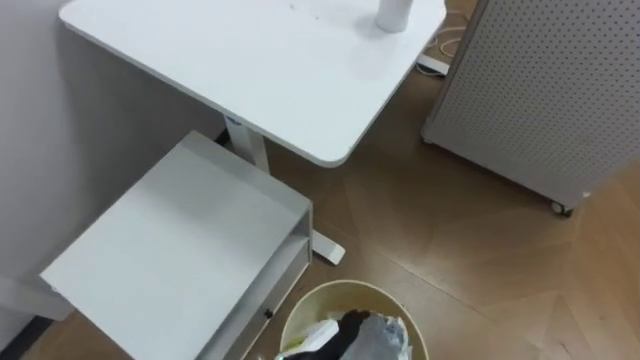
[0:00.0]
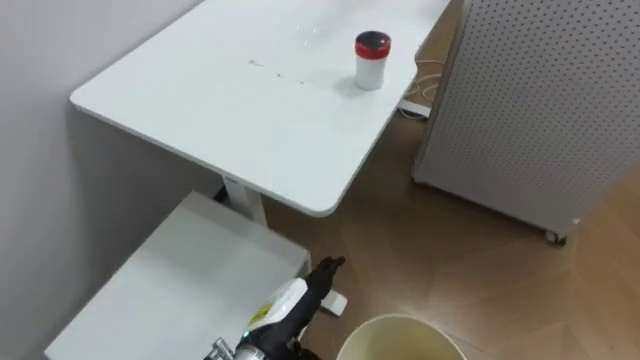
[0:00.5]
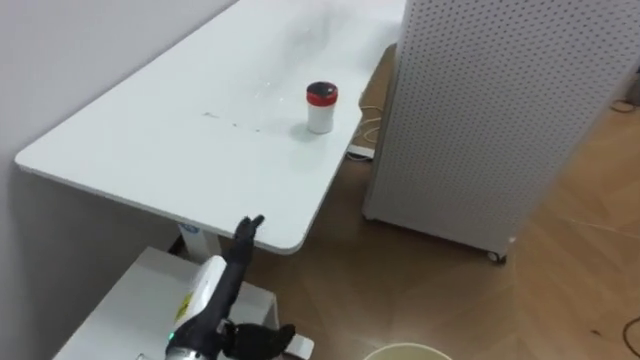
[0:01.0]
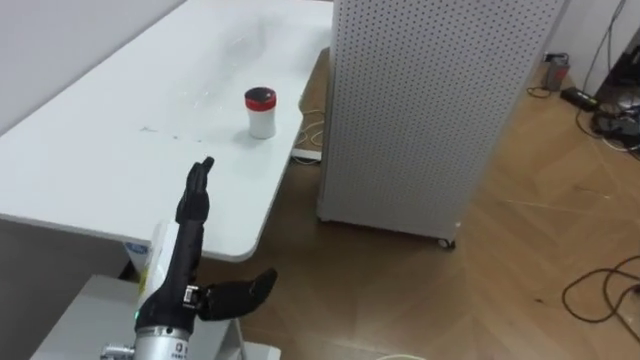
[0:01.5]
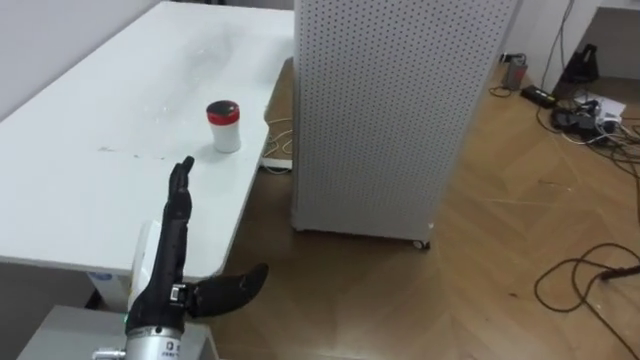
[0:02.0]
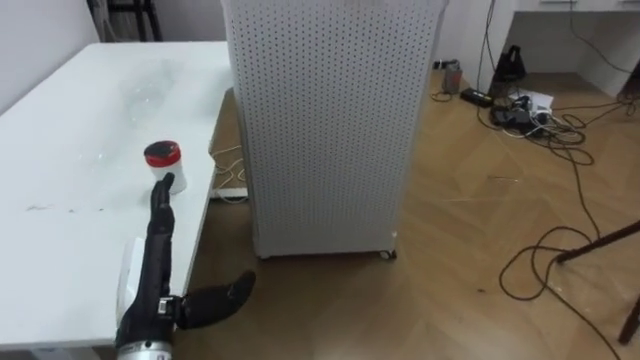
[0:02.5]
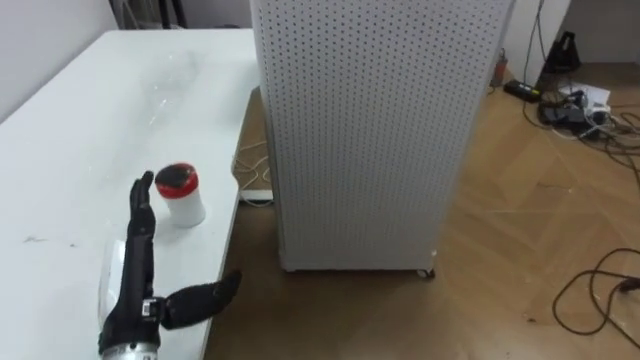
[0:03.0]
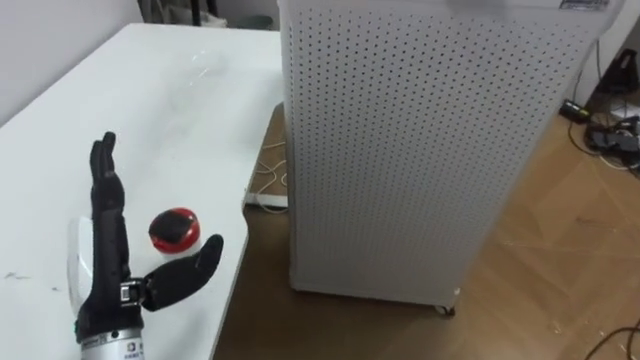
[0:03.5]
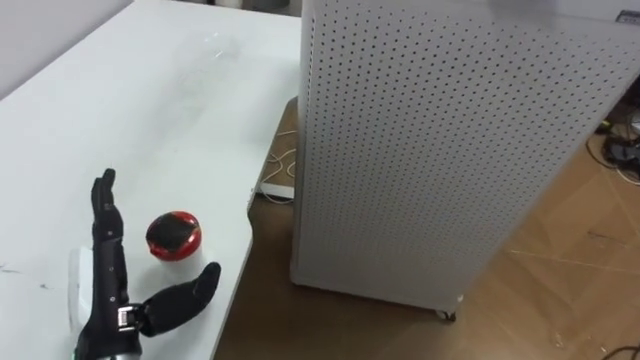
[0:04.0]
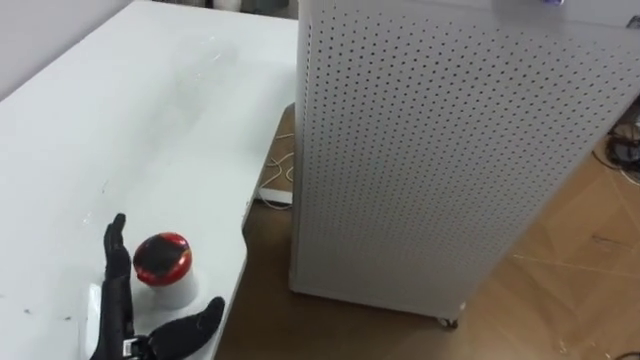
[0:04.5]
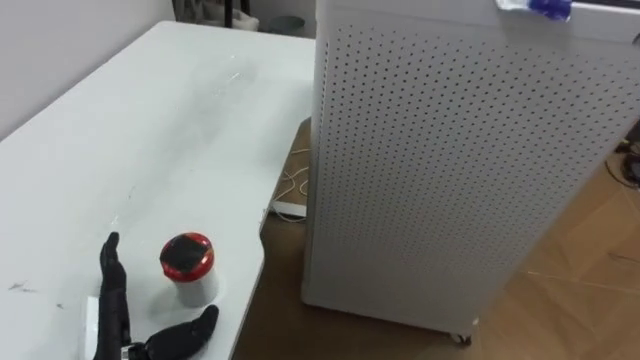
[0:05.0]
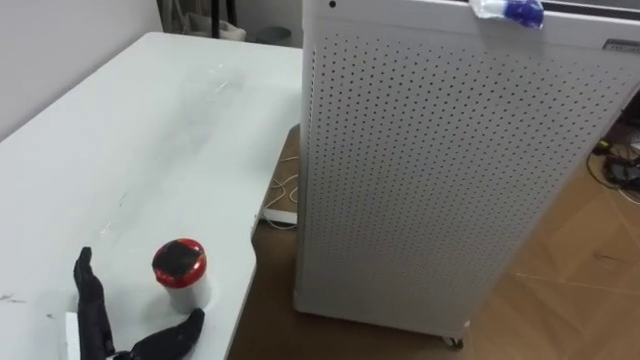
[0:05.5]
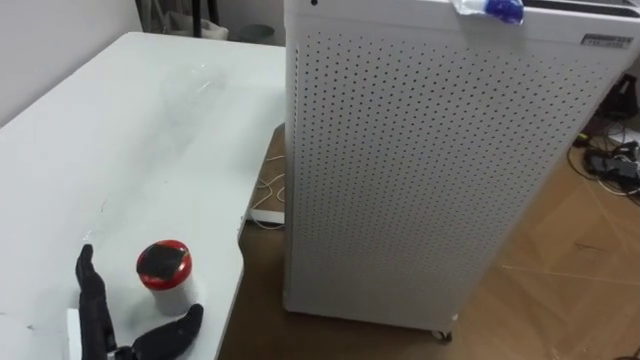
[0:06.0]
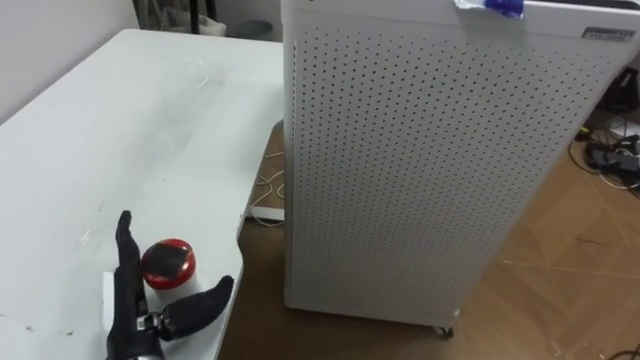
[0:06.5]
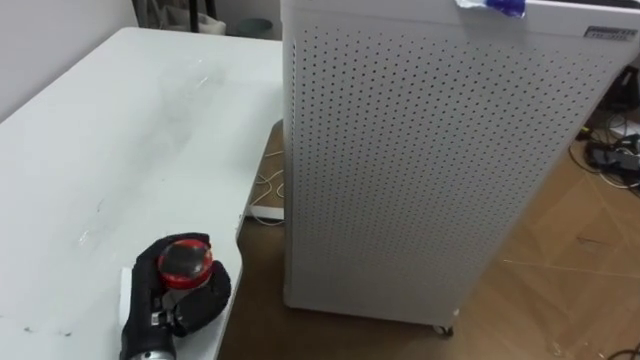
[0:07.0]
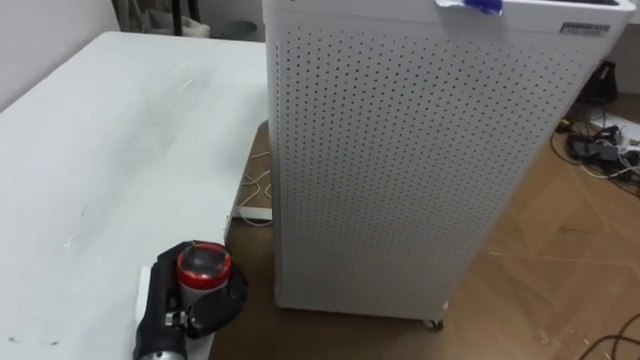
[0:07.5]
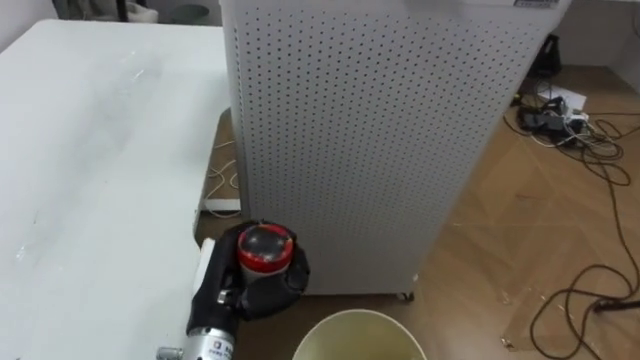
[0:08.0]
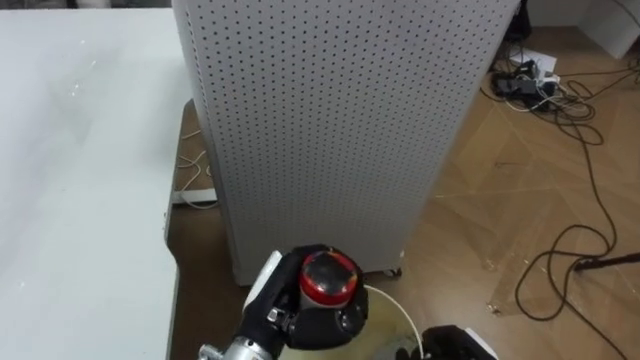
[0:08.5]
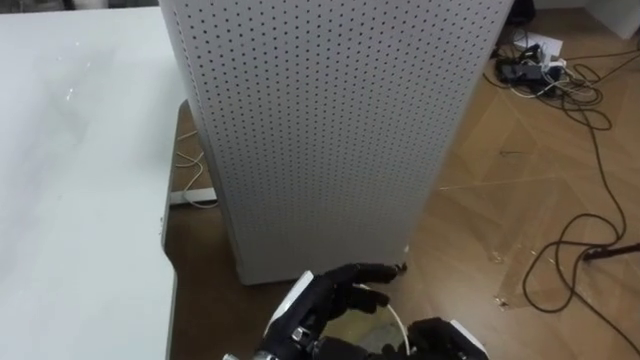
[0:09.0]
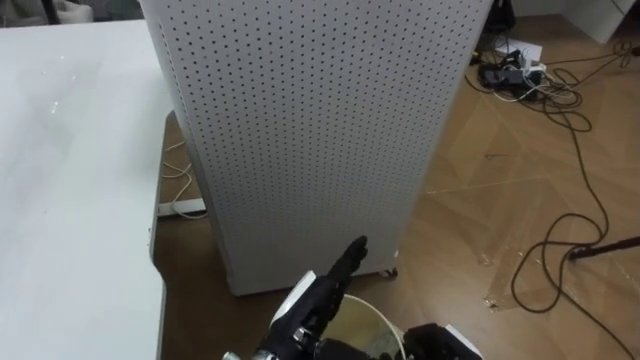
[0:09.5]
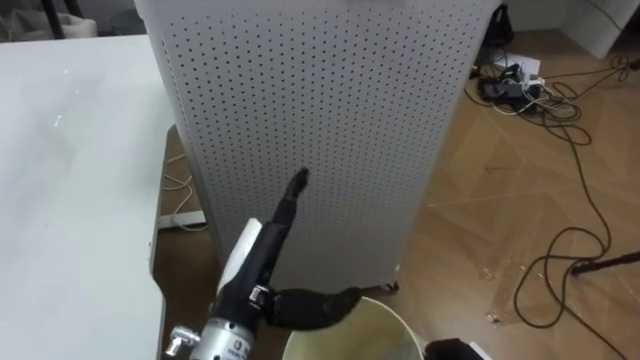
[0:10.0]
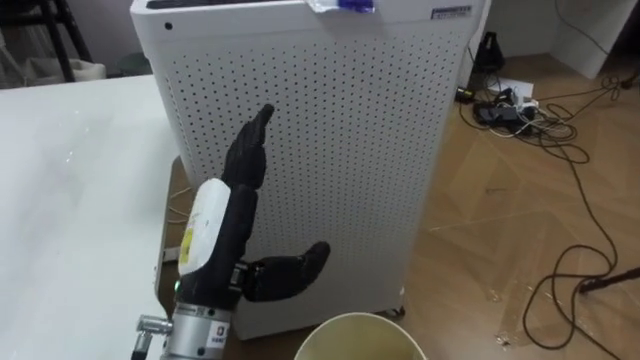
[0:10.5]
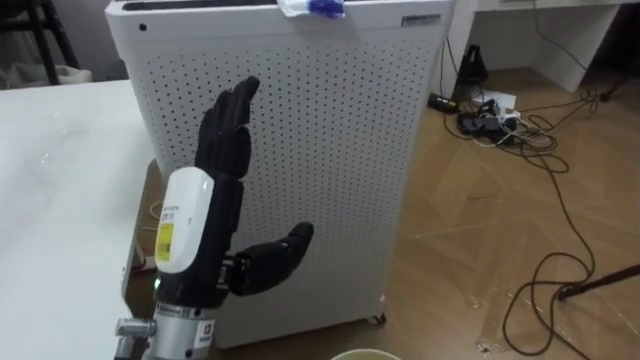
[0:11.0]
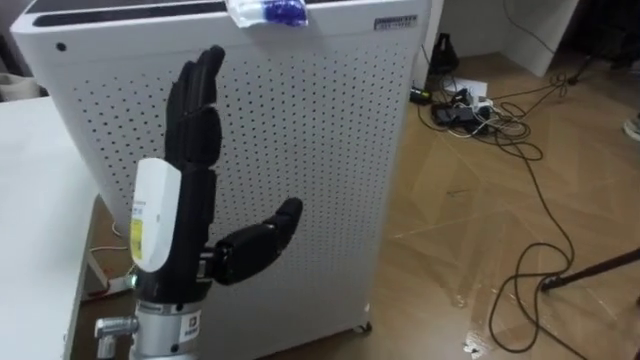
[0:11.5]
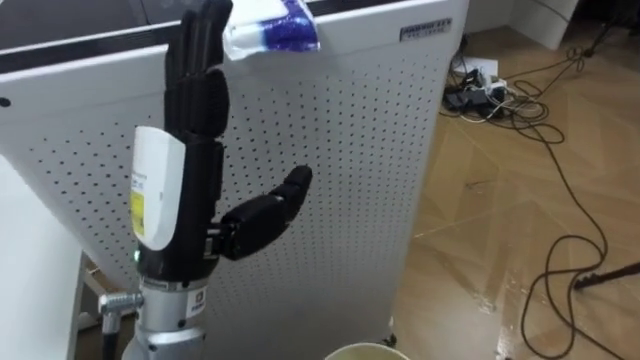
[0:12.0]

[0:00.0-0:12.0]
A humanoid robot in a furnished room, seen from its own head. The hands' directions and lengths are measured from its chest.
Task of the whole recording: Pick up the light blue package, the candy box, and the dark blue package separately, and put them into the trash can held in your right hand.
0:00.0 to 0:02.0: The robot turns to its right by roughly 35 degrees. The left hand heads to the left and upward, covering some 25 cm.
0:02.0 to 0:04.0: The left hand shifts by some 5 cm.
0:04.0 to 0:06.0: The left hand goes roughly 10 cm downward.
0:06.0 to 0:08.0: The left hand moves to the right and forward, approximately 15 cm, and closes.
0:08.0 to 0:10.0: The left hand shifts approximately 5 cm to the right, and opens up.
0:10.0 to 0:12.0: The left hand moves upward, about 15 cm.

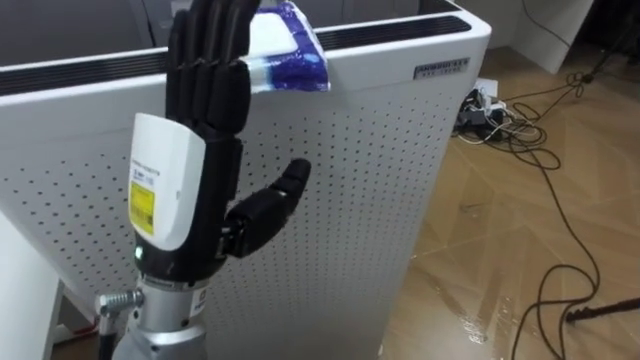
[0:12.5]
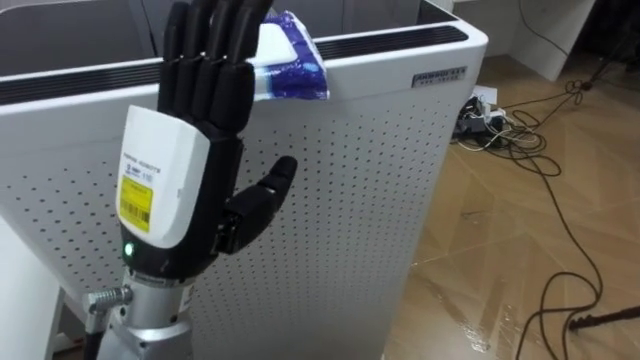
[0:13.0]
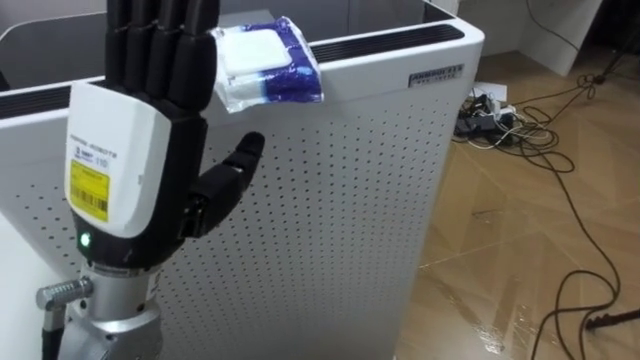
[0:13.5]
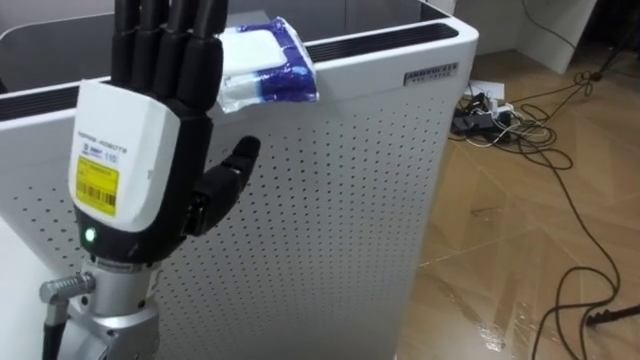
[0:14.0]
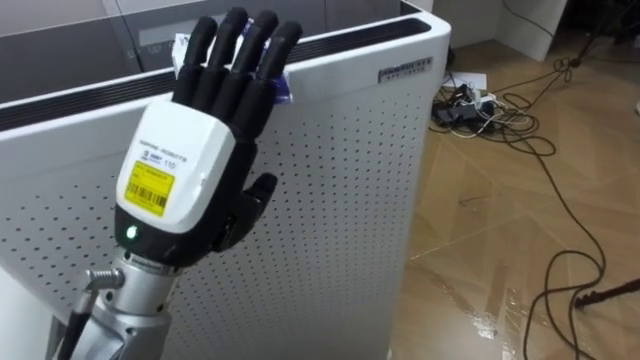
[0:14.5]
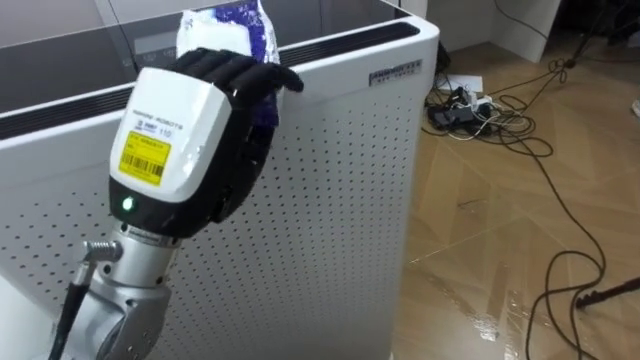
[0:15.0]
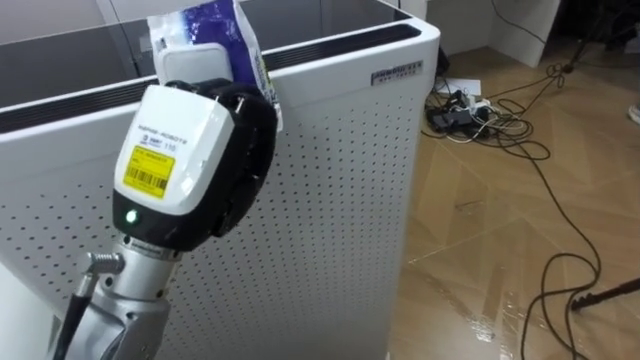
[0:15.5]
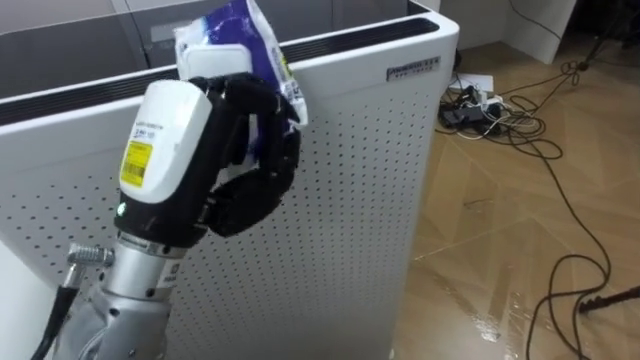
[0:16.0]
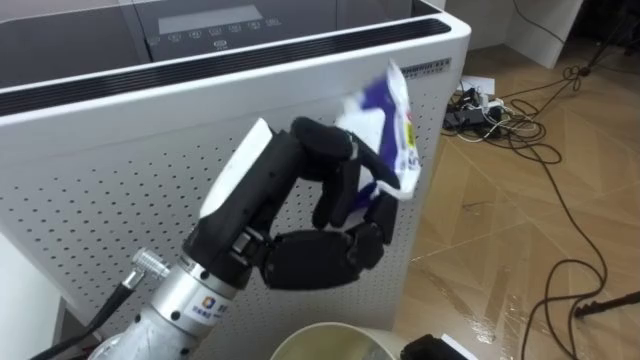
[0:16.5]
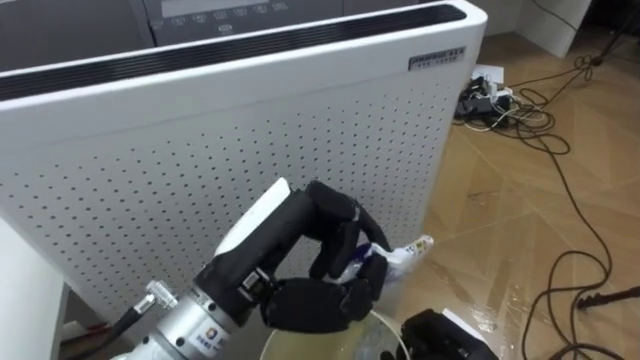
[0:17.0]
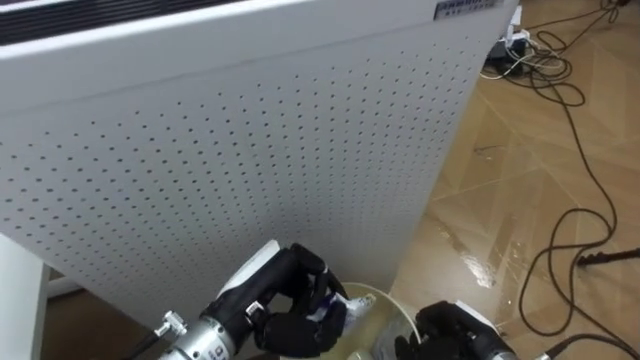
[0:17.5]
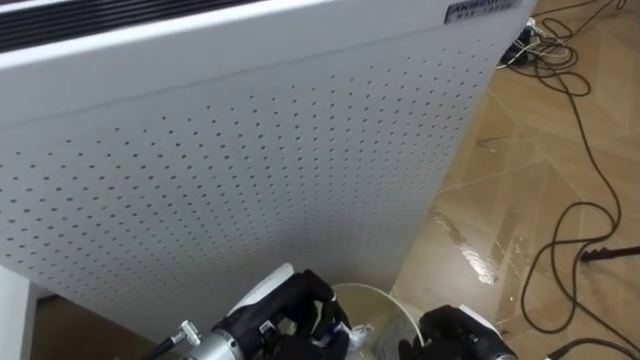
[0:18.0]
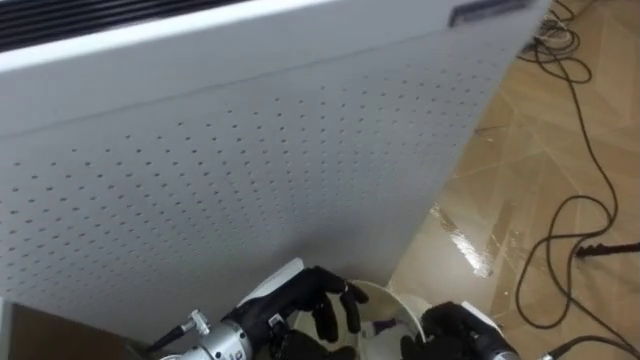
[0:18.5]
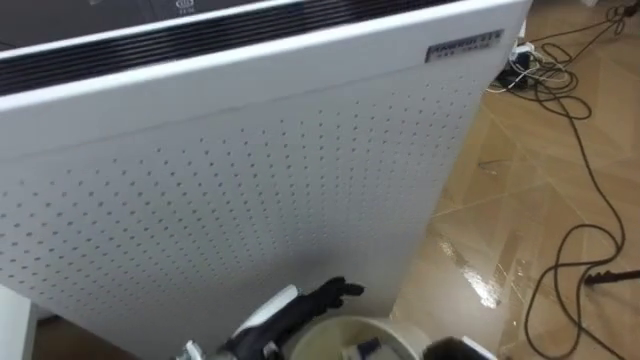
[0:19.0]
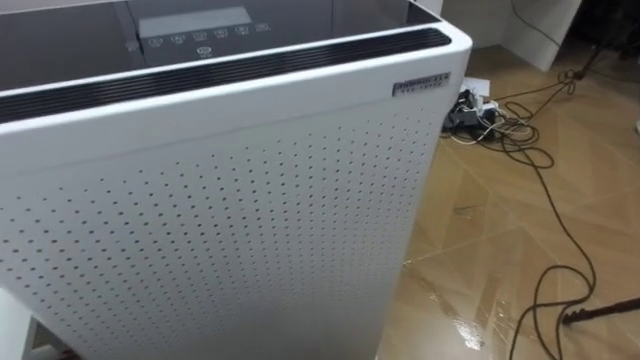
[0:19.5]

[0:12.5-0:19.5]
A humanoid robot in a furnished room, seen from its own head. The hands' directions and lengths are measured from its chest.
Task of the whole recording: Pick up the light blue package, the candy box, and the dark blue package separately, and put them into the trash can held in your right hand.
0:14.5 to 0:16.0: The left hand closes its fingers.
0:16.0 to 0:17.5: The left hand shifts roughly 20 cm downward.

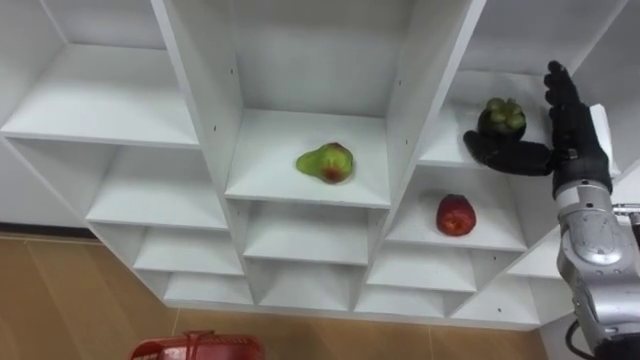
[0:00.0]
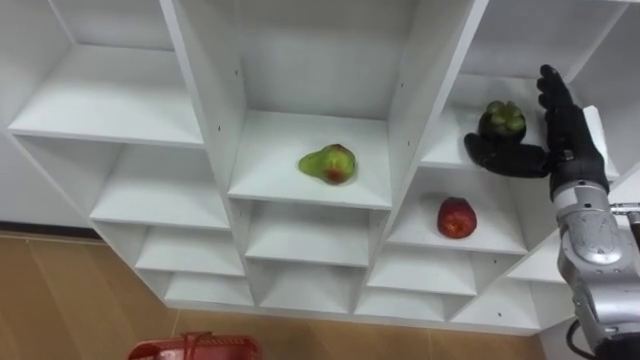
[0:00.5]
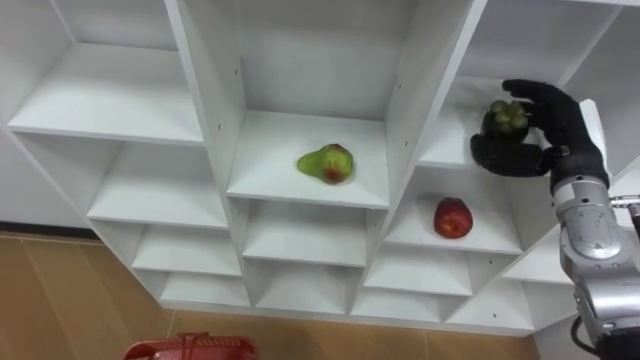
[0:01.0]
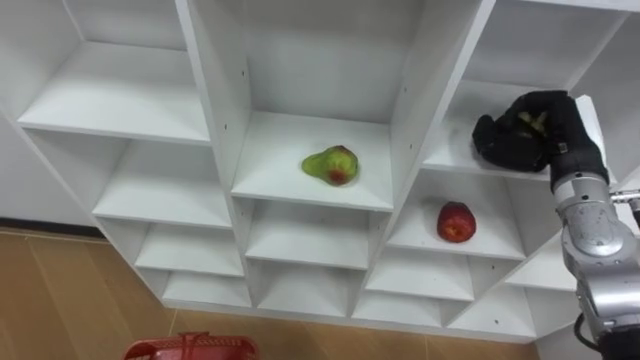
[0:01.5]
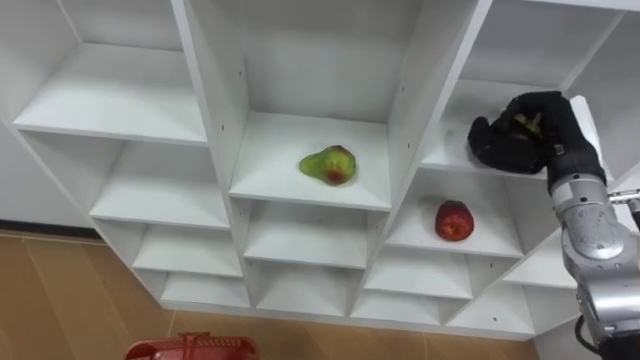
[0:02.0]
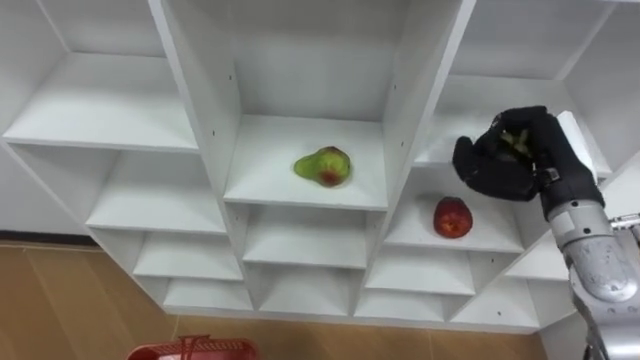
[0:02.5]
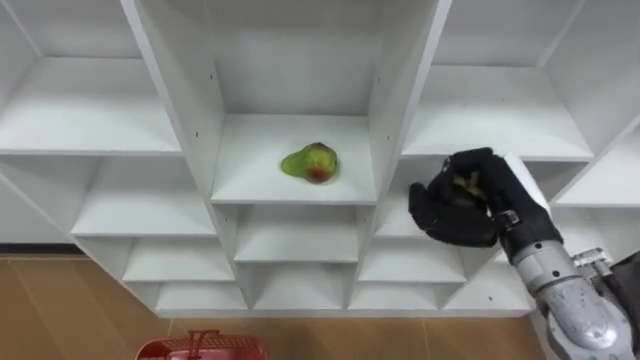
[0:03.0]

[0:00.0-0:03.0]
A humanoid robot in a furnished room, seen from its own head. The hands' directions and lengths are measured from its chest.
Task of the whole recording: Hold the basket and collect the fruits from 3 different cells of the closet into it.
0:00.0 to 0:01.5: The right hand closes up.
0:01.5 to 0:03.0: The right hand heads backward and to the left, covering some 10 cm.
